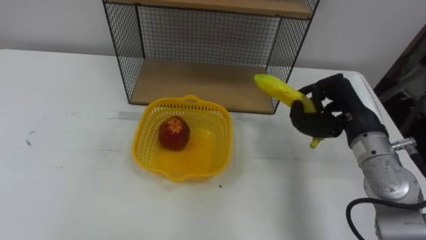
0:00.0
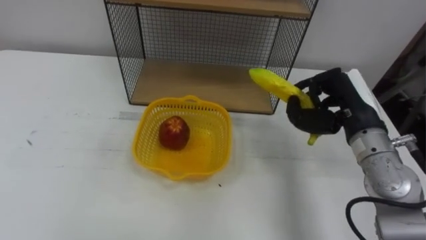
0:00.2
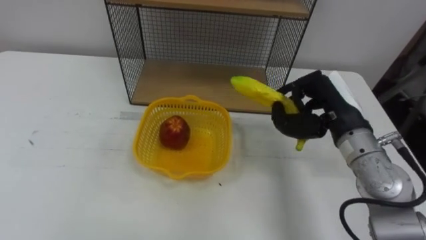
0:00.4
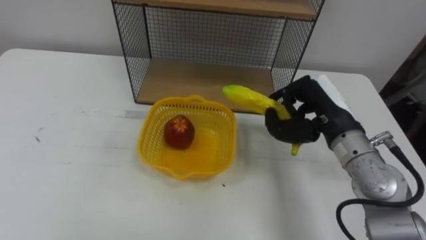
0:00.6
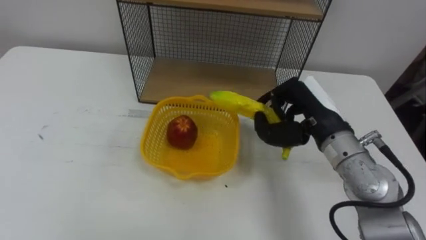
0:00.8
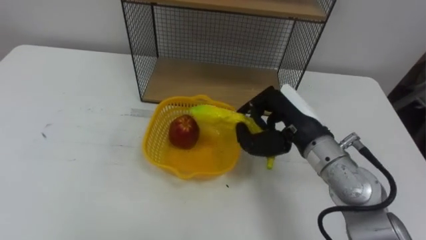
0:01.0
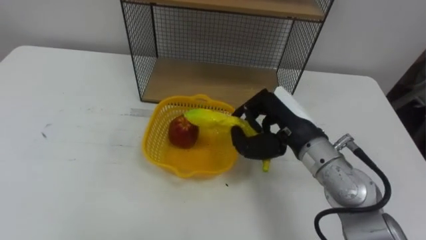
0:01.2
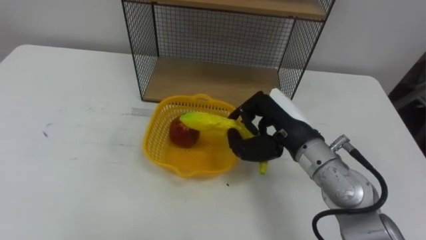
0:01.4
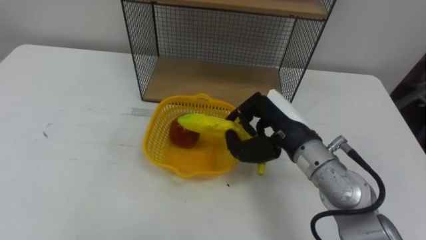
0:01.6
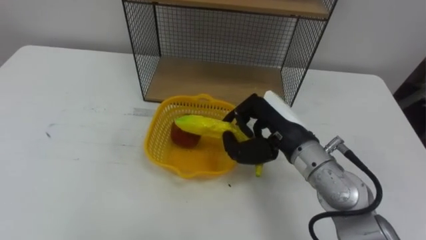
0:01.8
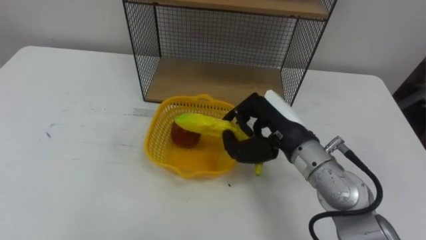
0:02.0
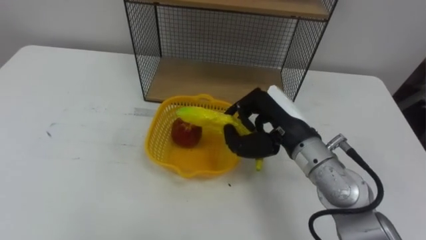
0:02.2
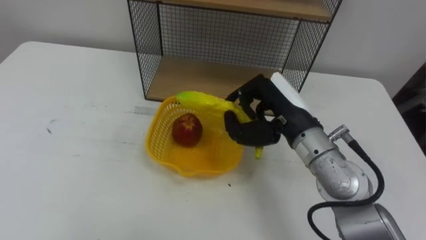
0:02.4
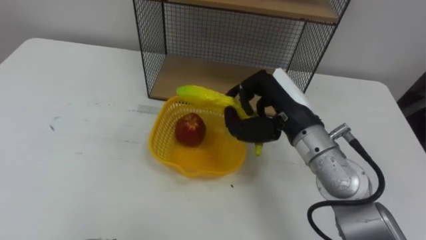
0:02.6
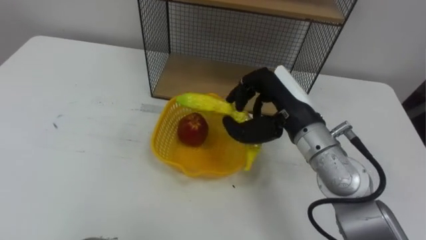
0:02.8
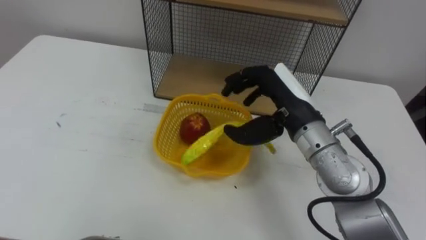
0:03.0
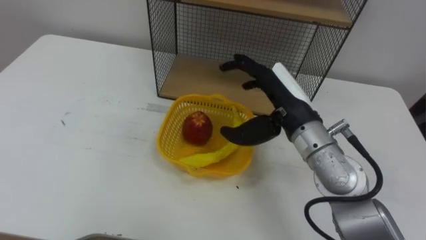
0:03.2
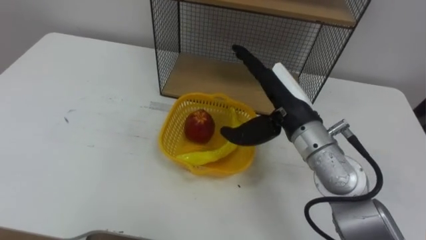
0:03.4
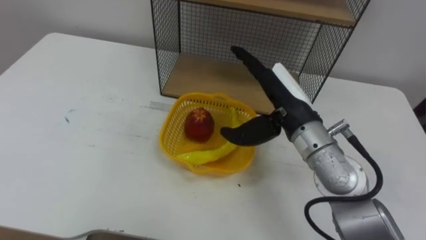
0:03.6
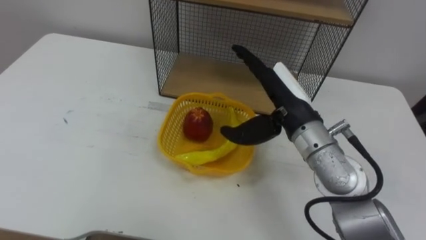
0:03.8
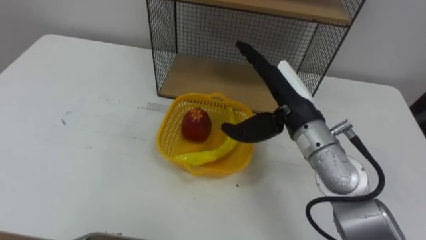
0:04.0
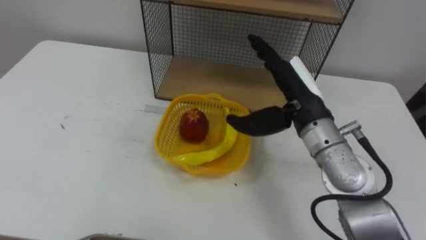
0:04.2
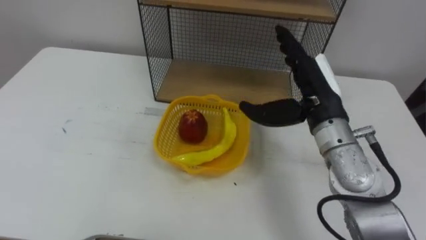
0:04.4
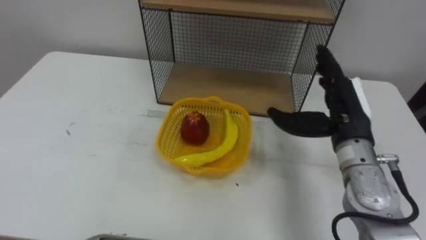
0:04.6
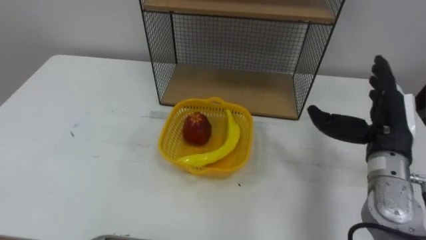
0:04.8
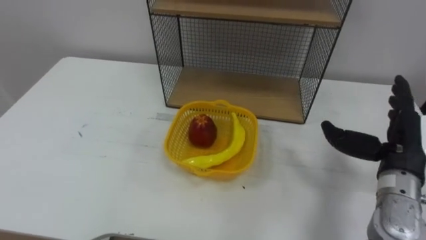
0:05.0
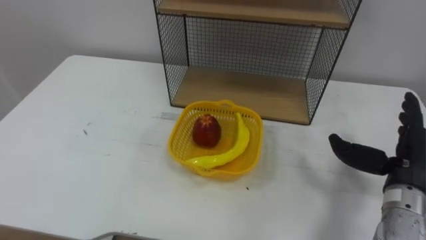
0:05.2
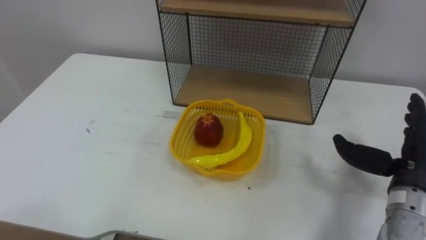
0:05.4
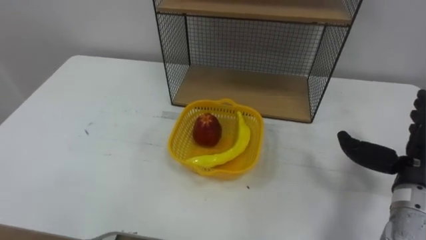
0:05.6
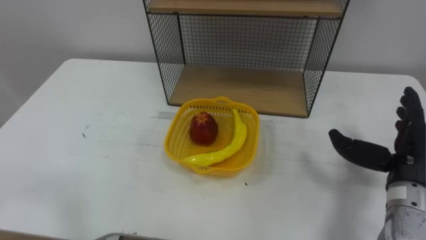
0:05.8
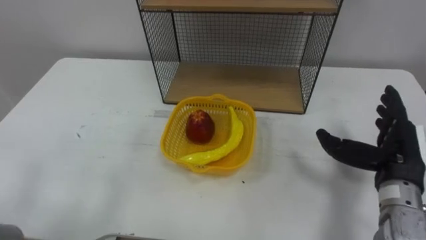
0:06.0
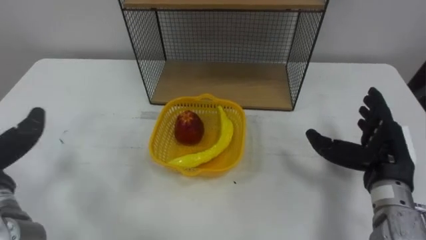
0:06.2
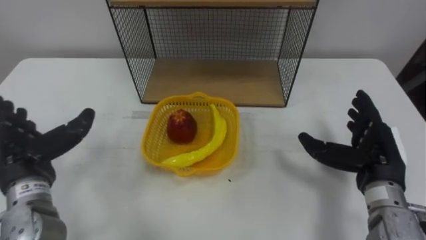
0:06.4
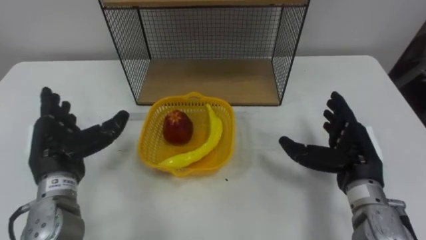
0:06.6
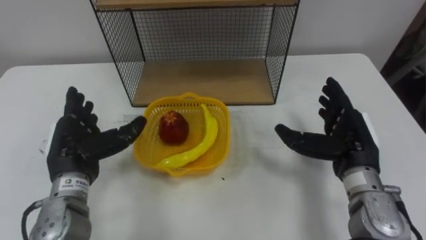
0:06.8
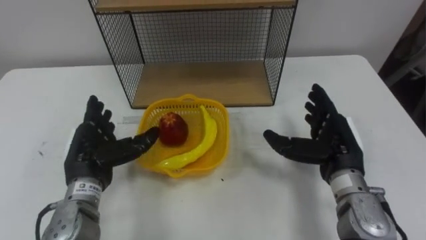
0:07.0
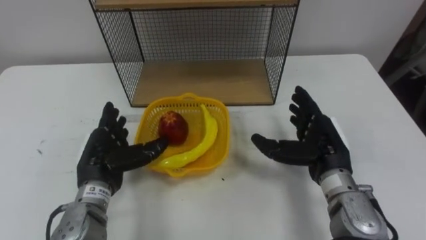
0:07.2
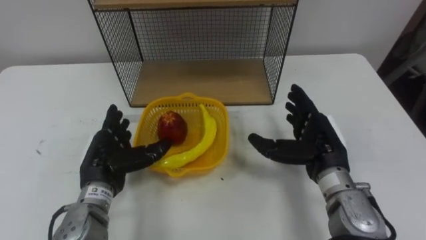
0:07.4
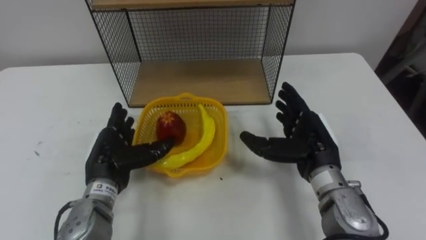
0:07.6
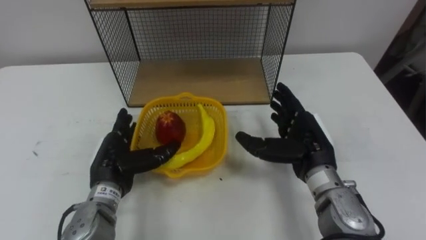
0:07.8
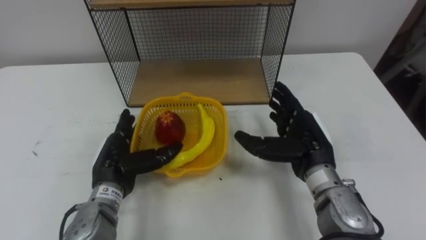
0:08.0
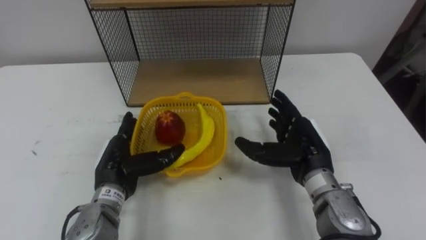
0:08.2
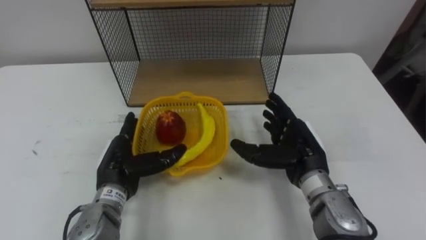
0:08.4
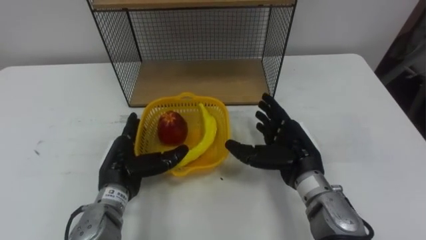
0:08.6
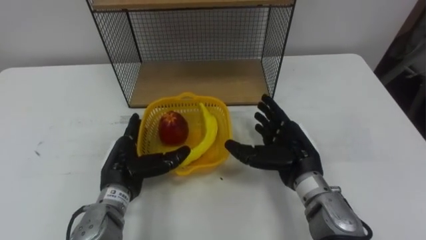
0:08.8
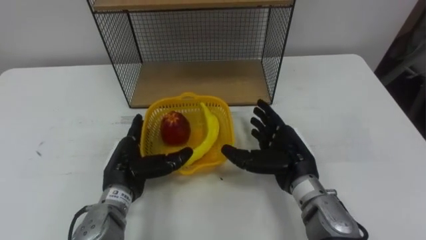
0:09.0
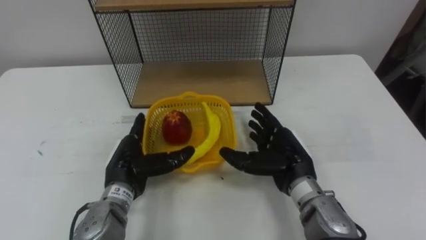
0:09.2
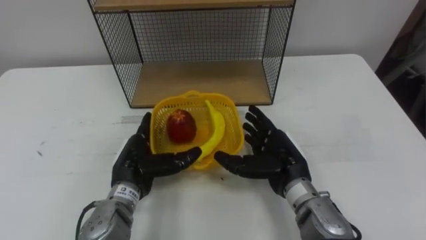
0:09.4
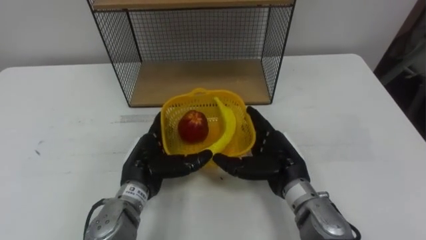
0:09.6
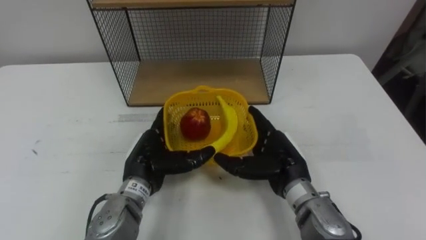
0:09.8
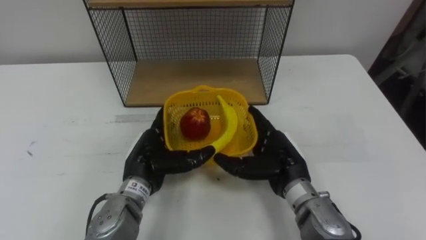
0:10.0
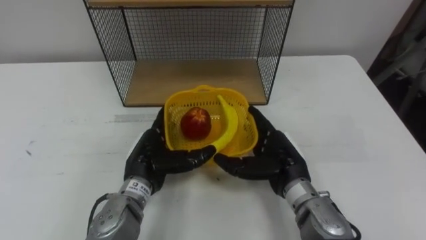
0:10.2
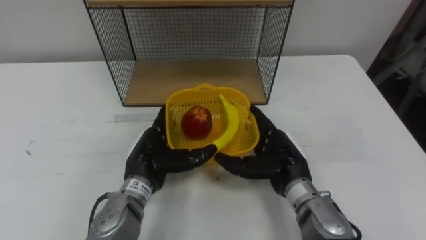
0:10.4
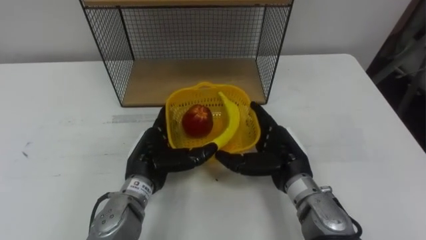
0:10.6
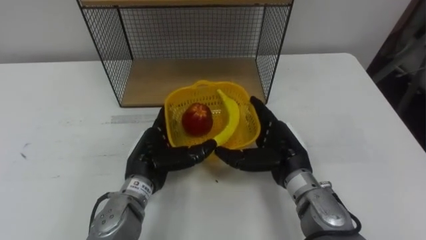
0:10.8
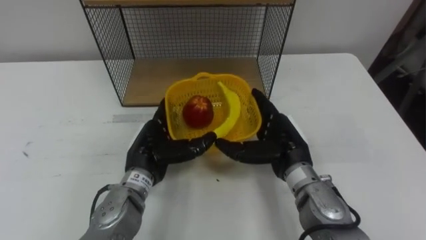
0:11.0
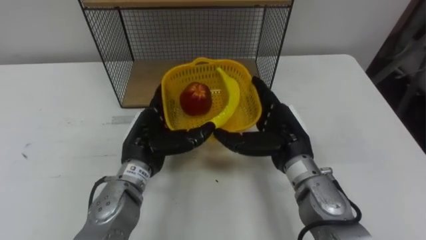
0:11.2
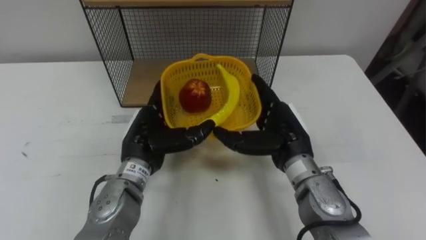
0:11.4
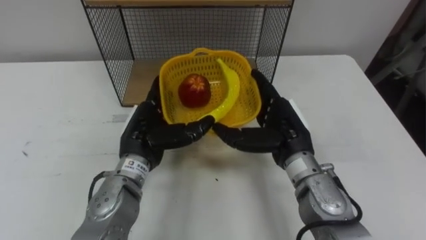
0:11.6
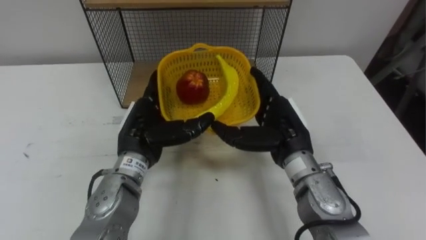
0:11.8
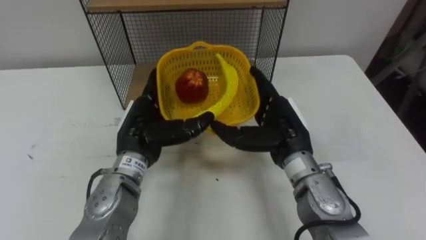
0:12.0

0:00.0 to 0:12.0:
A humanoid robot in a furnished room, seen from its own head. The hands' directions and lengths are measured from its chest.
Task of the whole recording: Put the fruit on the table into the basket, then place the basket on the shelf.
0:00.0 to 0:01.6: The right hand heads to the left, covering approximately 10 cm.
0:01.6 to 0:03.0: The right hand opens up.
0:03.0 to 0:04.4: The right hand opens its fingers.
0:04.4 to 0:06.0: The right hand shifts about 15 cm to the right, backward and downward.
0:06.0 to 0:07.6: The right hand moves to the left, some 10 cm.
0:07.6 to 0:09.0: The hands make only small movements.
0:09.0 to 0:10.4: The left hand ends up approximately 5 cm from where it was.
0:10.4 to 0:12.0: Both hands travel together upward, about 5 cm.

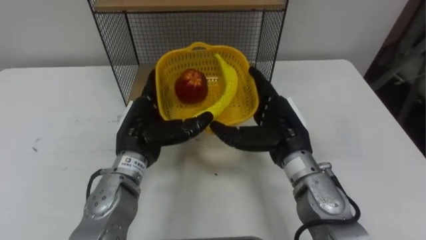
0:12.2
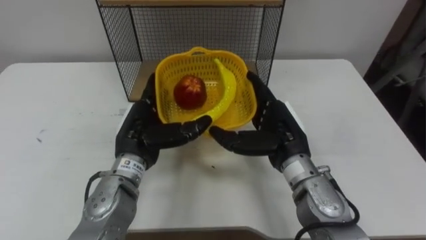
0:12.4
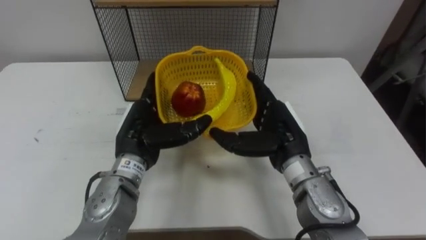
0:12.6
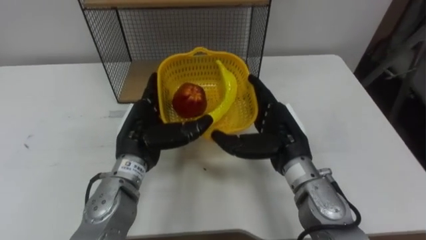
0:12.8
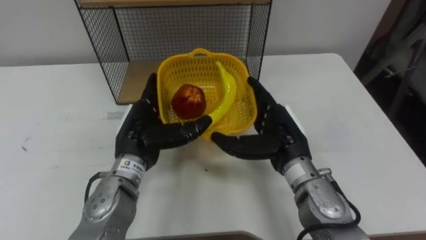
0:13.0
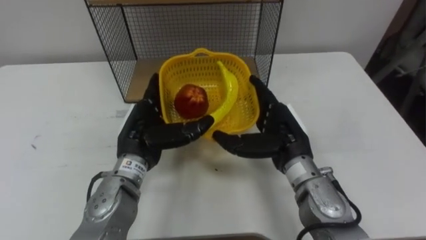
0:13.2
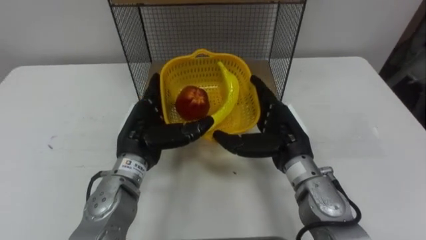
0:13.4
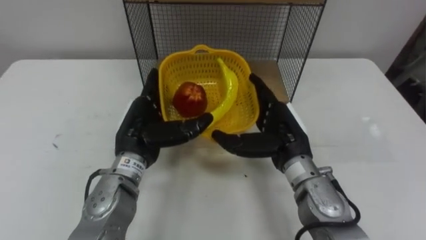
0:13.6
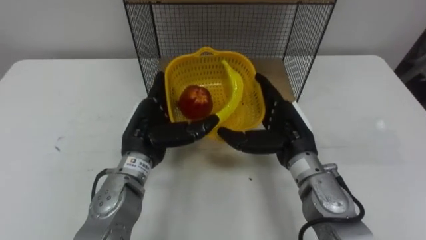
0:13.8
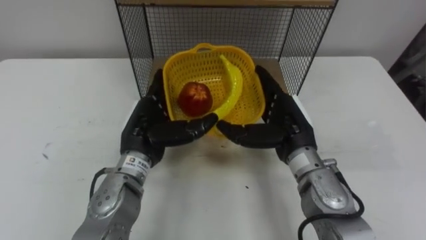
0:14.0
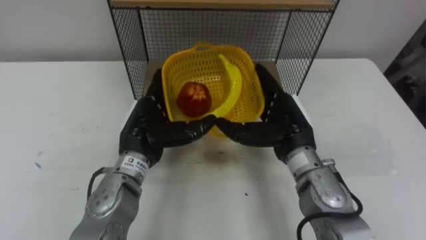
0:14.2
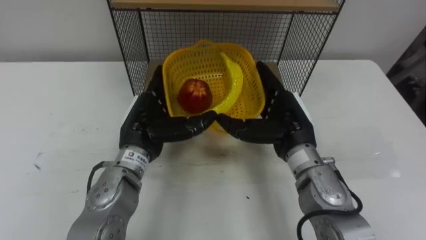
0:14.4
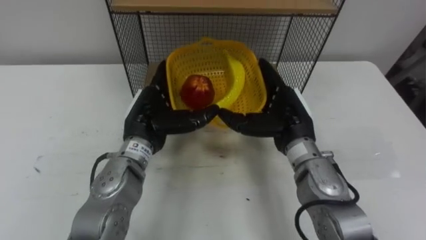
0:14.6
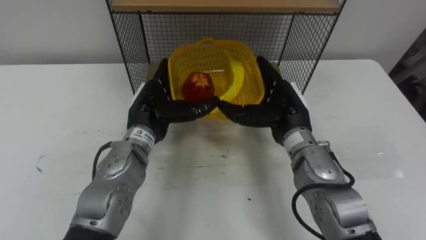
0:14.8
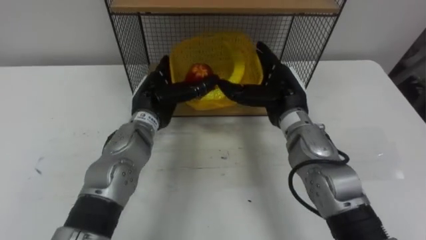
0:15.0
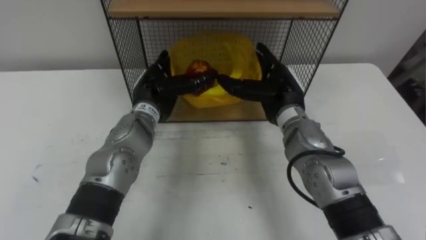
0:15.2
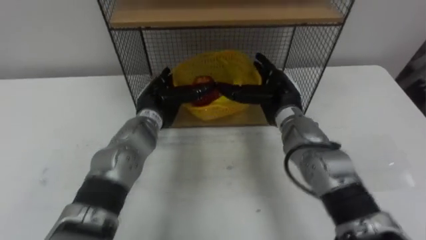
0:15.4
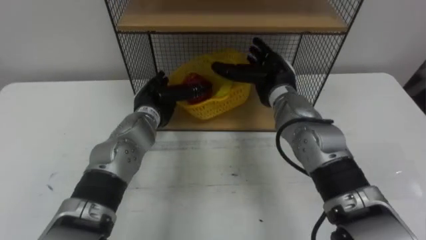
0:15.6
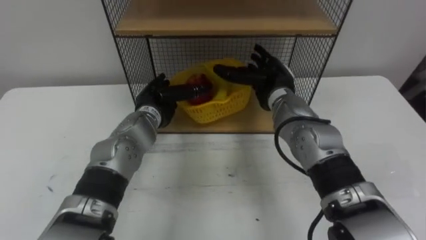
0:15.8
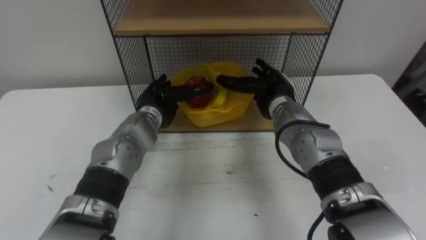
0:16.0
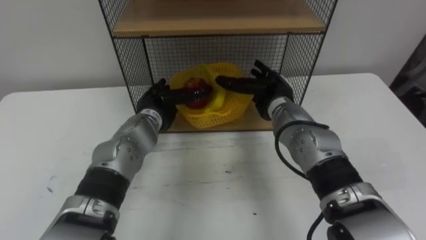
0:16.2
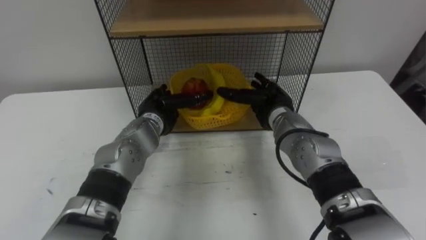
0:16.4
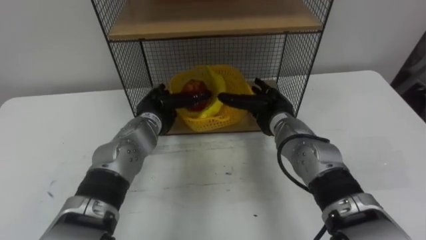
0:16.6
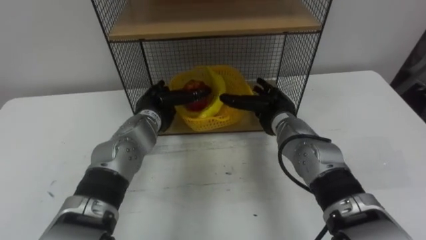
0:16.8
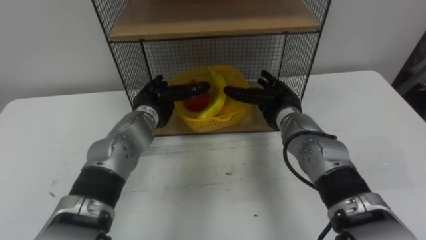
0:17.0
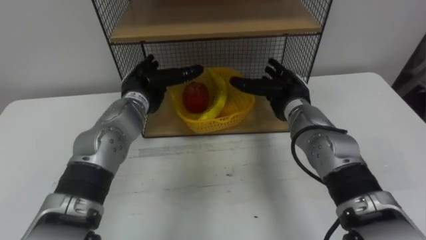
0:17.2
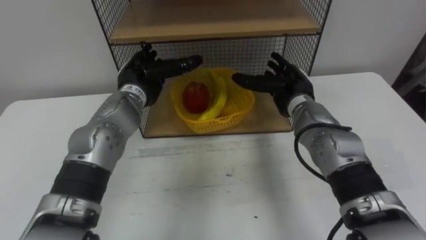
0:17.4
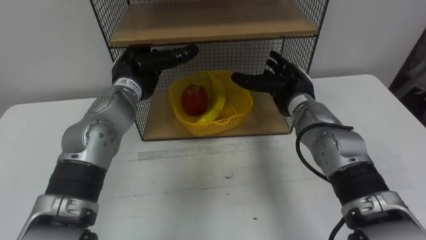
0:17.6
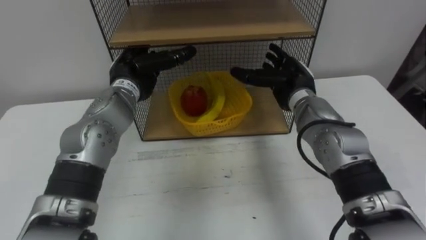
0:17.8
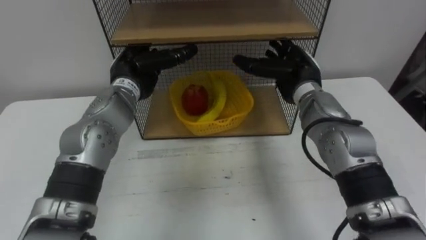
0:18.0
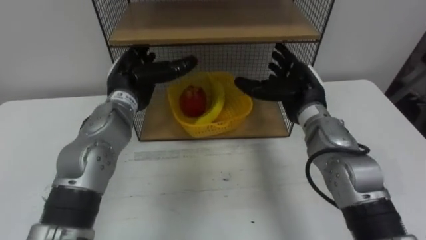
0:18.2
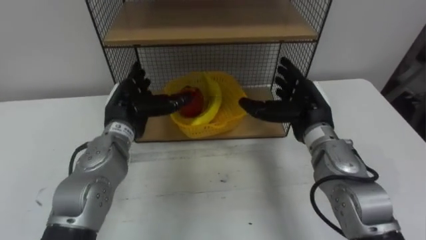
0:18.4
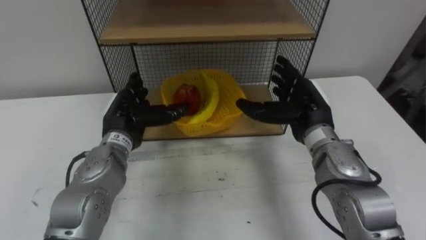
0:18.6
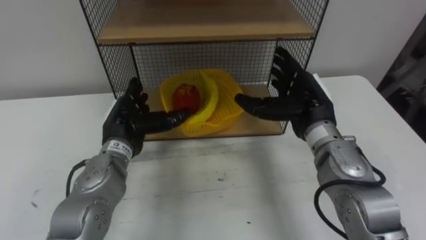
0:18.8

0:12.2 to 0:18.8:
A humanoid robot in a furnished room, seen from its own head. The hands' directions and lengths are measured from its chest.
Task of the whole recording: Put the fruit on the table into the basket, then place the basket on the shelf.
0:13.8 to 0:15.4: The two hands go approximately 10 cm forward.
0:17.2 to 0:18.8: The hands both shift backward by some 5 cm.
